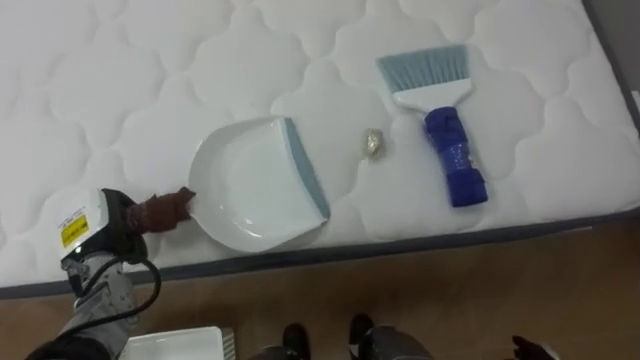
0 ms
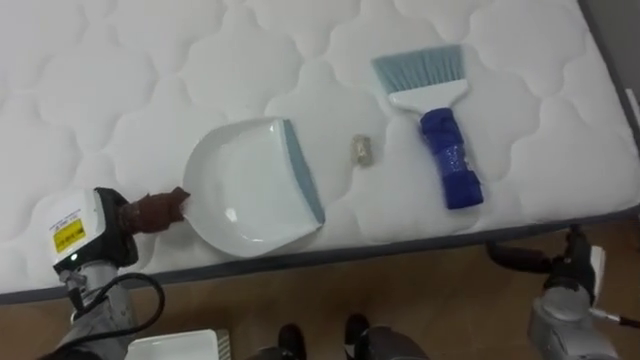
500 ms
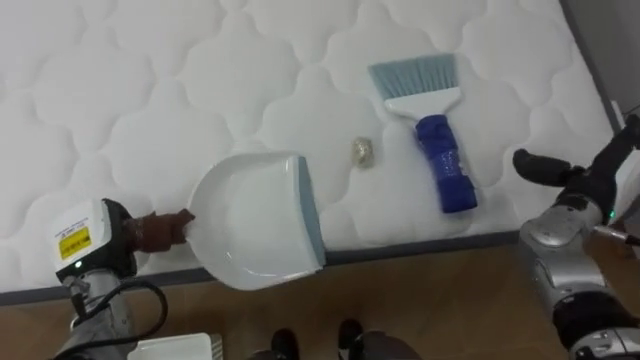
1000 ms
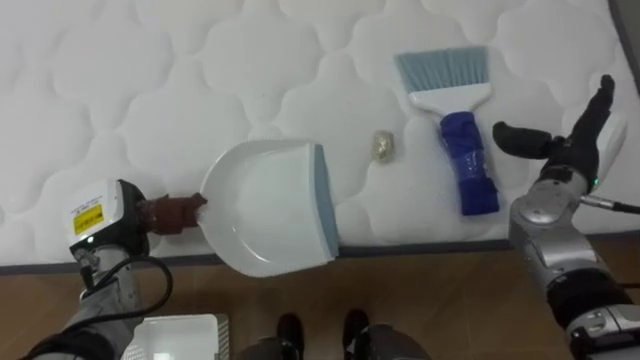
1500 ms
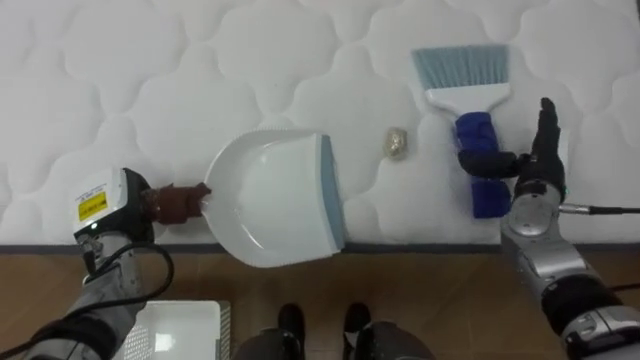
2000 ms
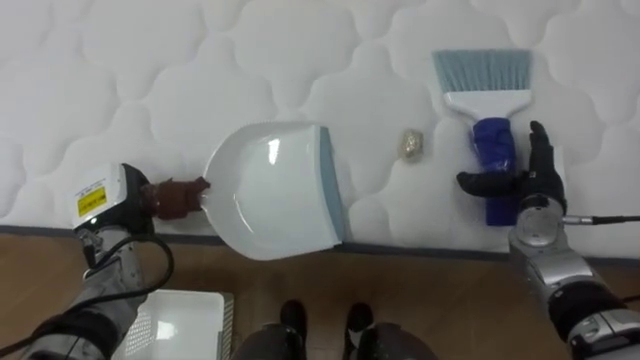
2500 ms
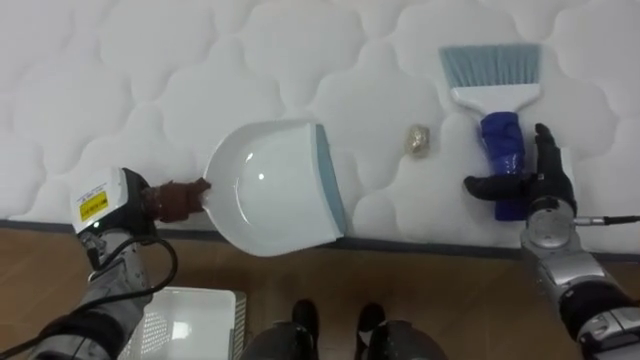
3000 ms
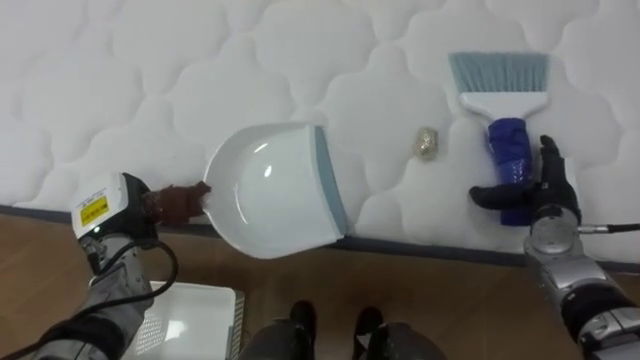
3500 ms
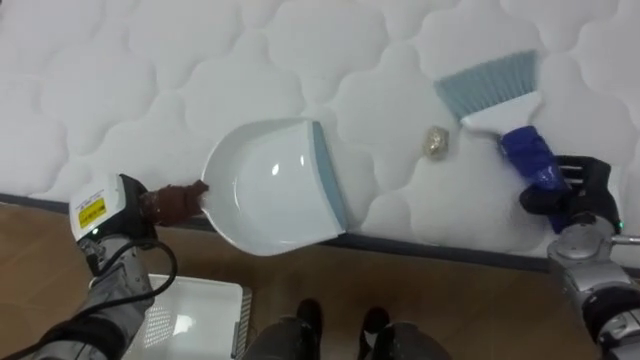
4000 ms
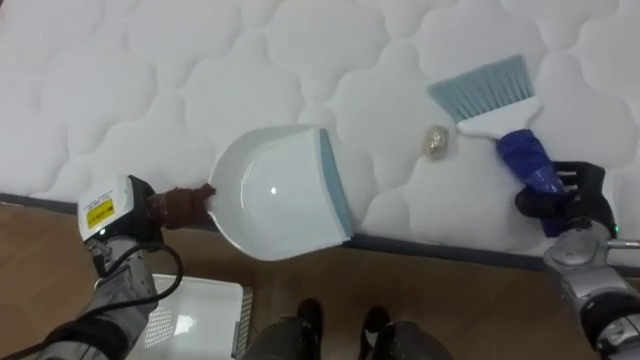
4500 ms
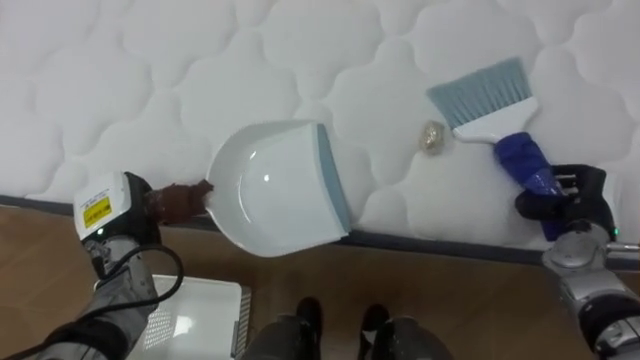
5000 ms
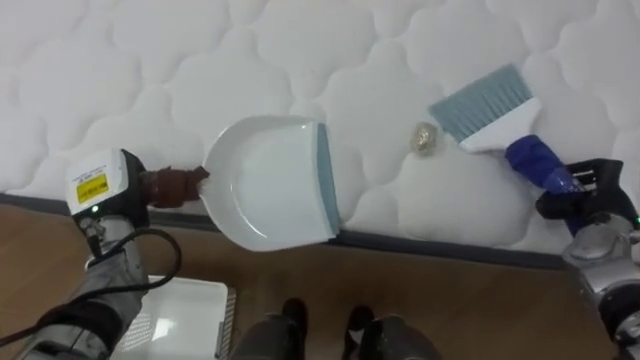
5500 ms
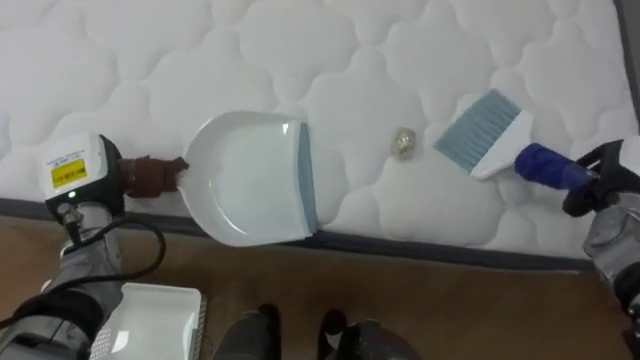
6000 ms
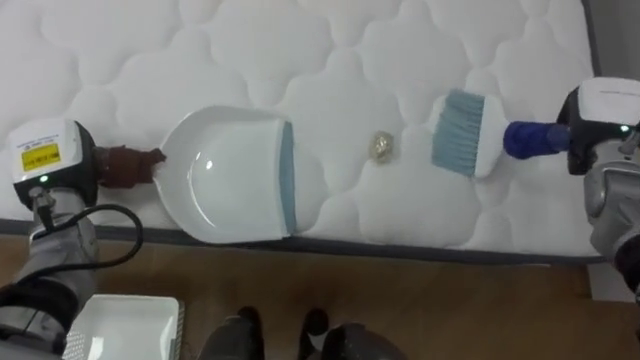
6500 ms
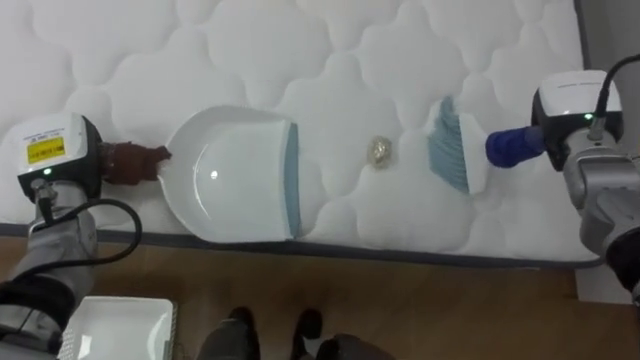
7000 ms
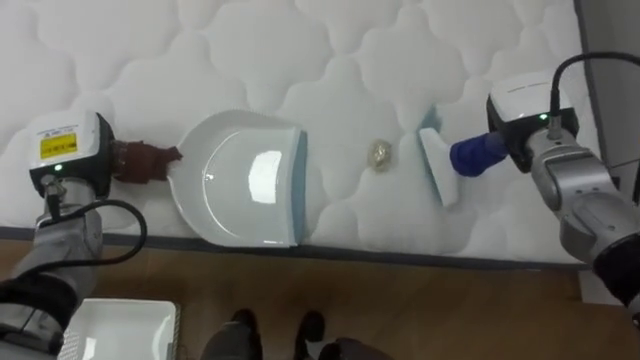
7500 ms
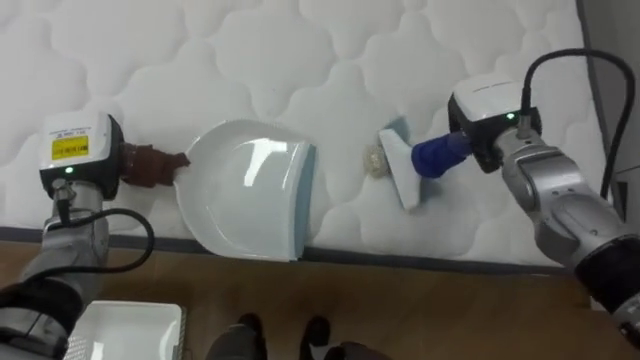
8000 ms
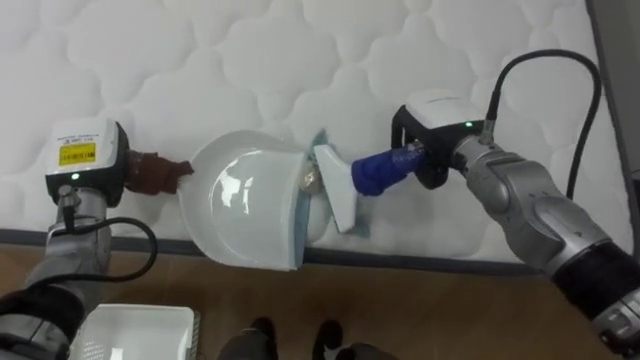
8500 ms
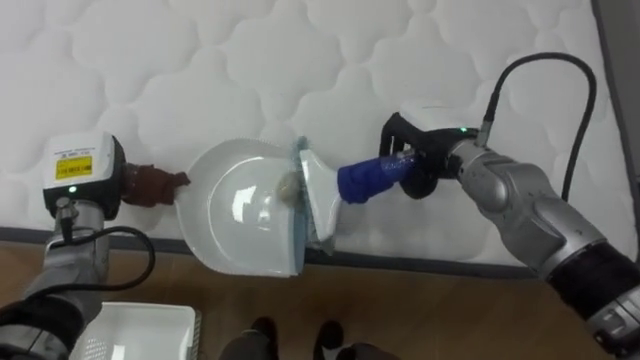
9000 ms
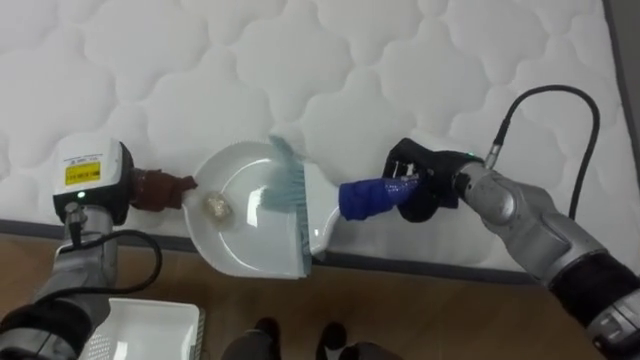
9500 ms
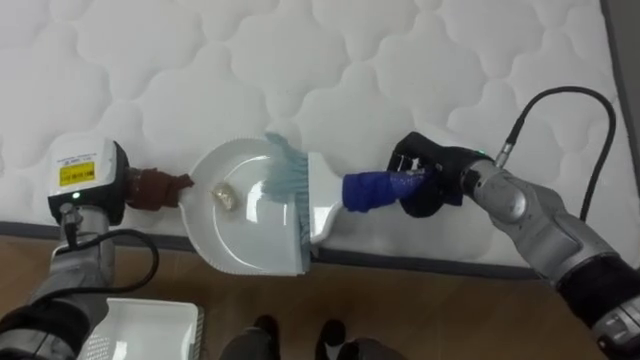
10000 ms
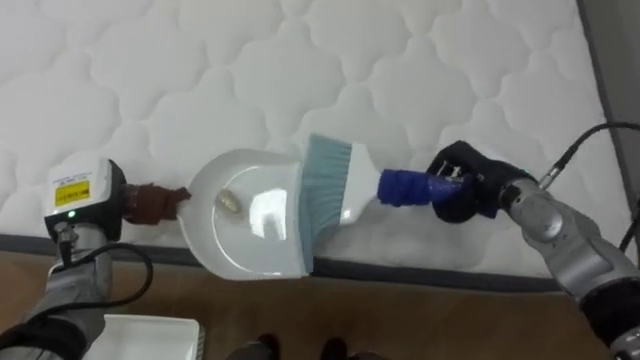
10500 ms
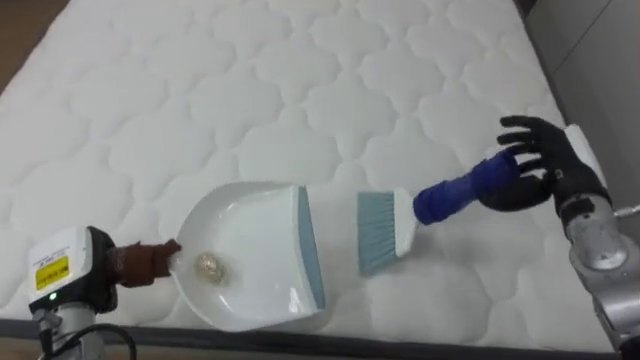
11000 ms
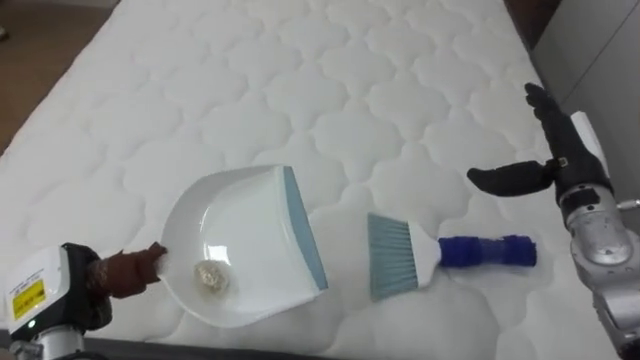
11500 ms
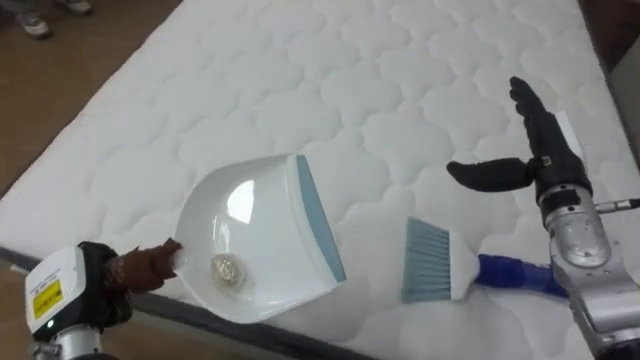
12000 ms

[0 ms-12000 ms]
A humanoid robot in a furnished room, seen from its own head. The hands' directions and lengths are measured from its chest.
Task of the whole recording: Pick up the brush on your right and the dustpan on your left. Use the brush to sweep the crumpled paper on the bed into the dustpan, then turn left and empty it into the basket.
2000 ms to 4000 ms: The right hand heads to the right, covering about 5 cm, and closes.
4000 ms to 6000 ms: The left hand goes some 5 cm upward.
6000 ms to 8000 ms: The right hand moves to the left, roughly 20 cm.
8000 ms to 10000 ms: The right hand ends up approximately 5 cm from where it was.
10000 ms to 12000 ms: The left hand goes some 15 cm backward and downward. The right hand goes about 10 cm to the right, and opens its fingers.

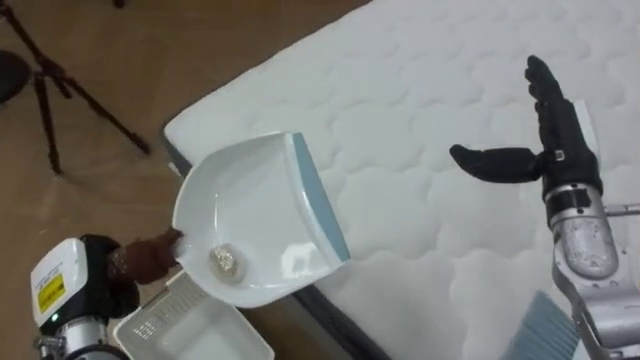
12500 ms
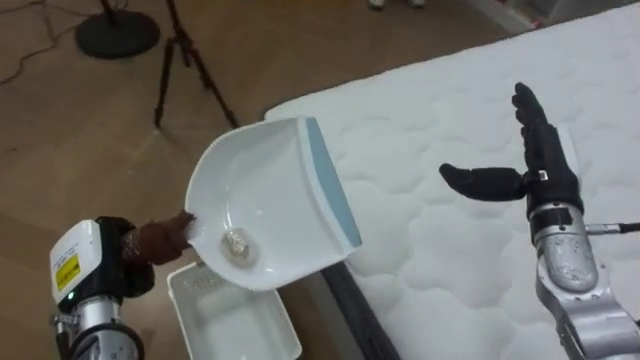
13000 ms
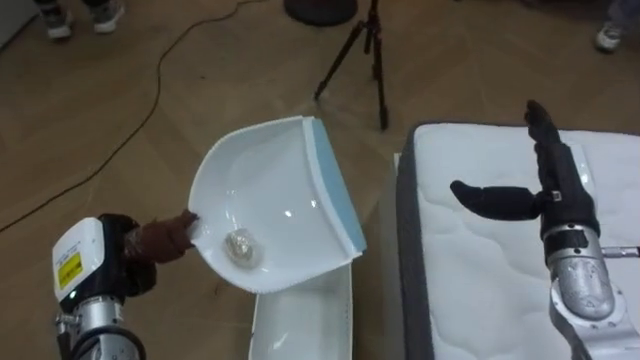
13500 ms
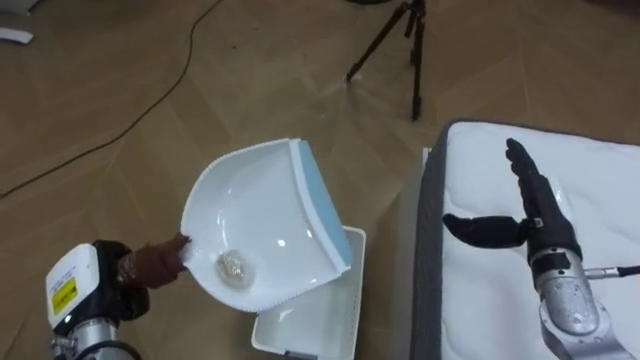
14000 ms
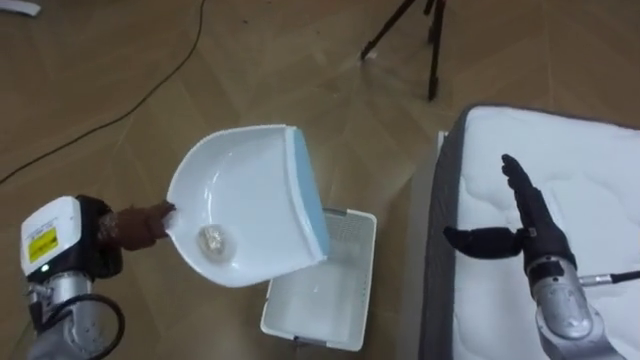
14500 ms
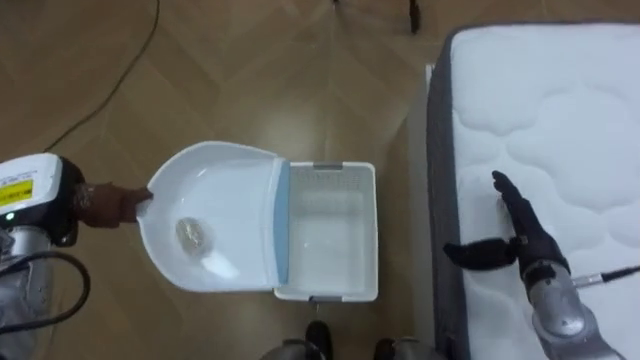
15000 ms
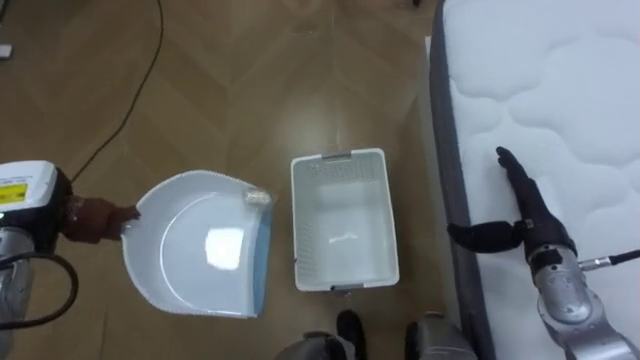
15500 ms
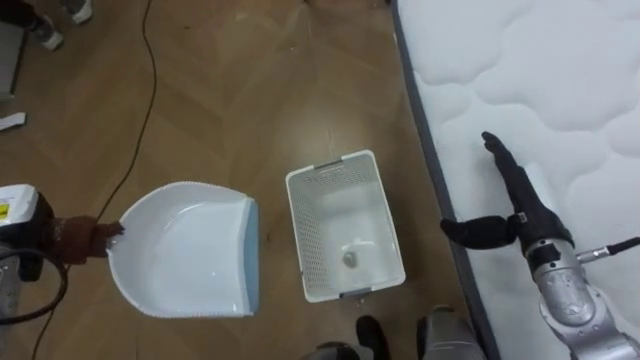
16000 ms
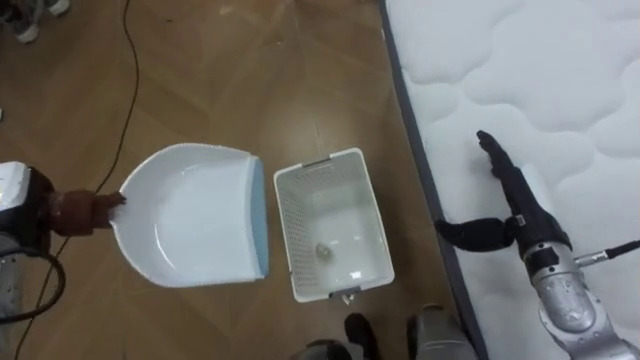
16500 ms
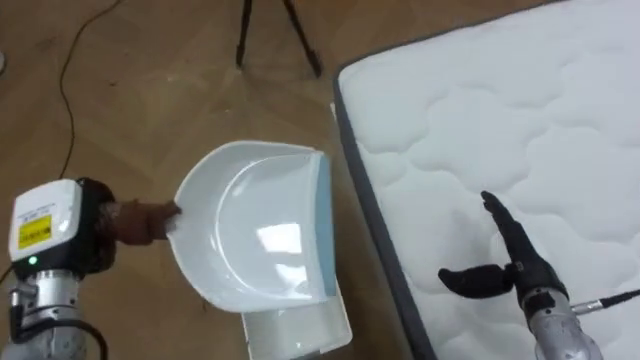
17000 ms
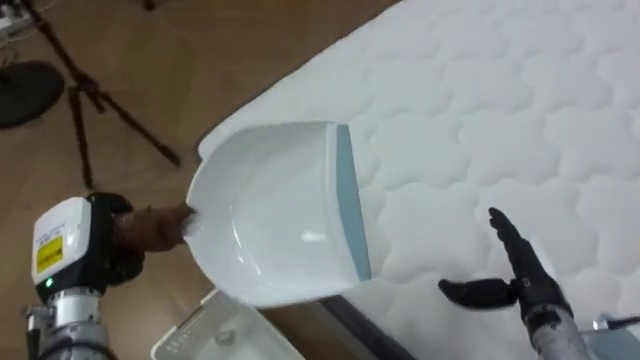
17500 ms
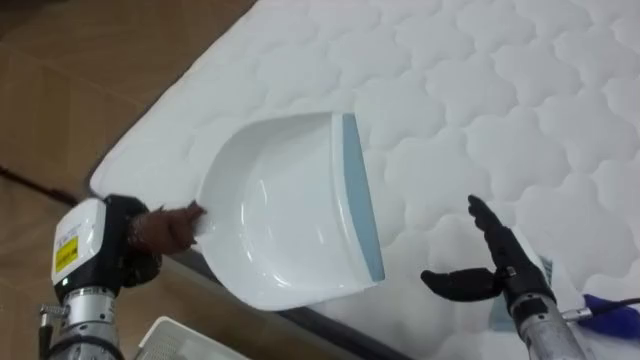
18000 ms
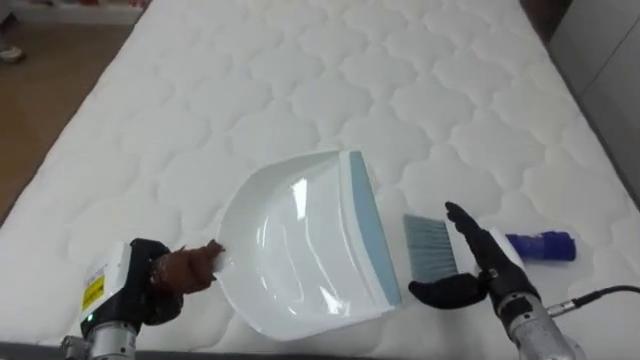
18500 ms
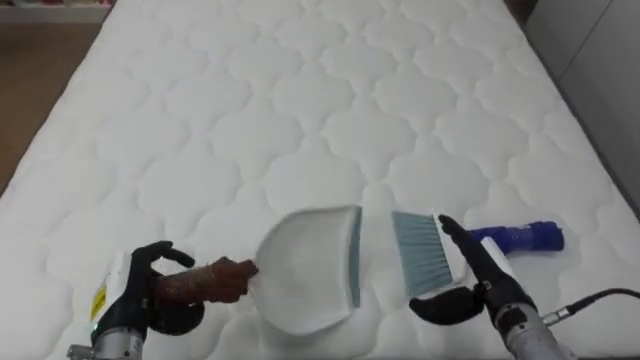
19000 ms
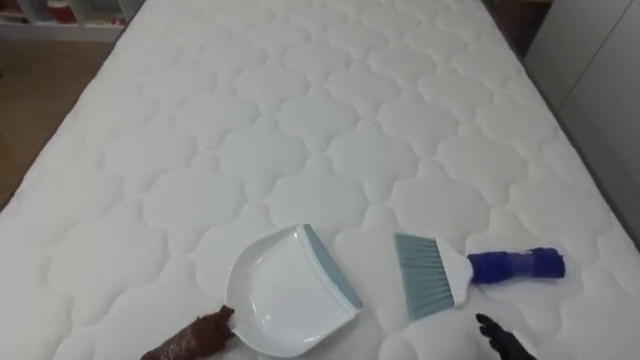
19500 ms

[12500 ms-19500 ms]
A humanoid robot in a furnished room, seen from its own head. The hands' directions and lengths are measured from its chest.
Task of the whole recording: Pick up the brush on your right and the dustpan on your left. Use the brush to sweep the crumpled paper on the bed into the dustpan, then turn left and empty it into the basket.
12500 ms to 14500 ms: The robot faces about 60 degrees further to its left. The right hand shifts some 10 cm downward.
14500 ms to 16000 ms: The left hand heads to the left, covering some 5 cm.
16000 ms to 17500 ms: The robot faces approximately 50 degrees further to its right. The right hand shifts roughly 10 cm backward and downward. The left hand is displaced to the right by roughly 10 cm.
17500 ms to 19500 ms: The robot faces approximately 45 degrees further to its right.

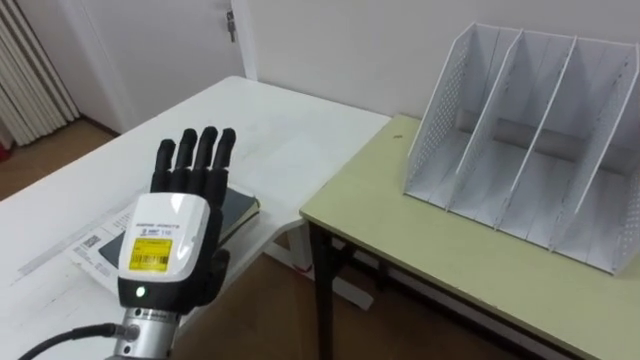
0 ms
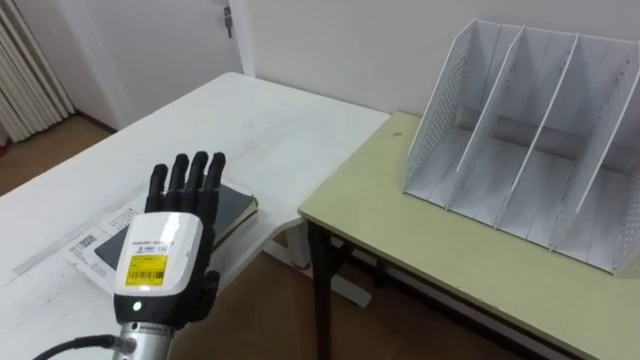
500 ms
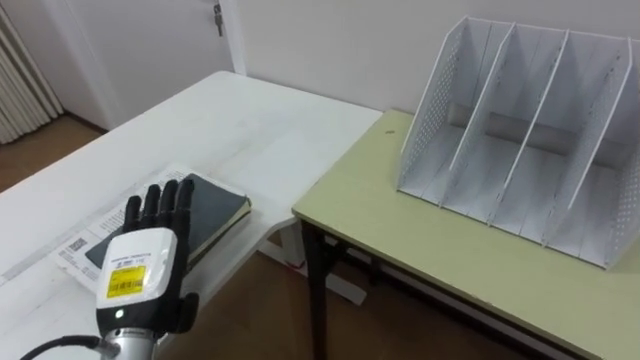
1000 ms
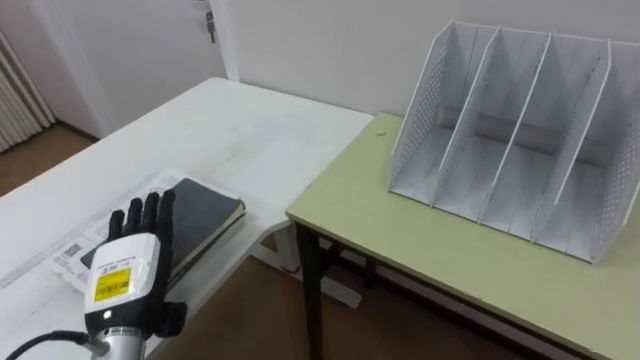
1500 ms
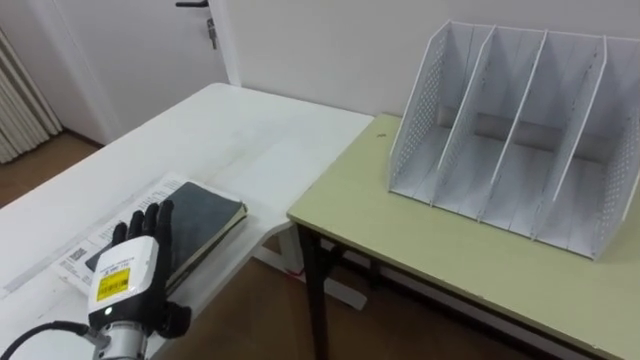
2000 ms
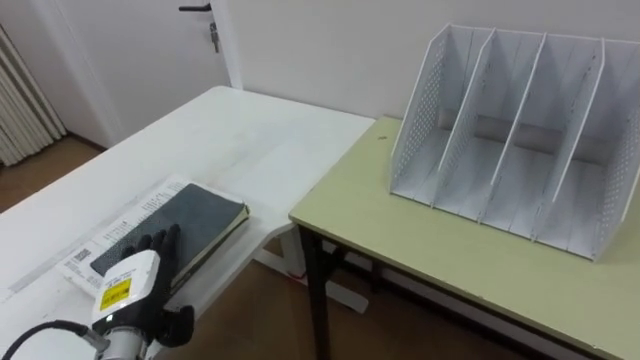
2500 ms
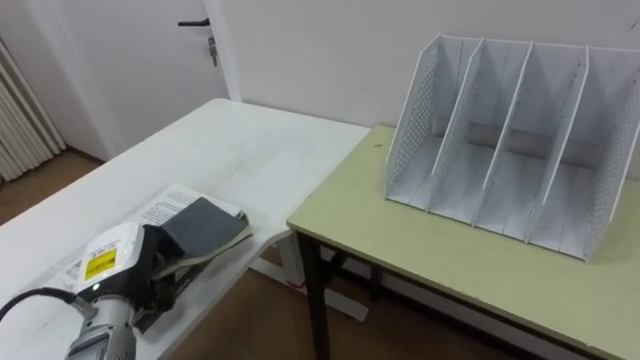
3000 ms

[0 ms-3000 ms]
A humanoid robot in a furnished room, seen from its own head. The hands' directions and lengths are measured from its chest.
Task of the whole recording: Put the books on the table onto the bookshelf.
0 ms to 1500 ms: The left hand heads downward and to the left, covering about 10 cm.
1500 ms to 3000 ms: The left hand closes.
